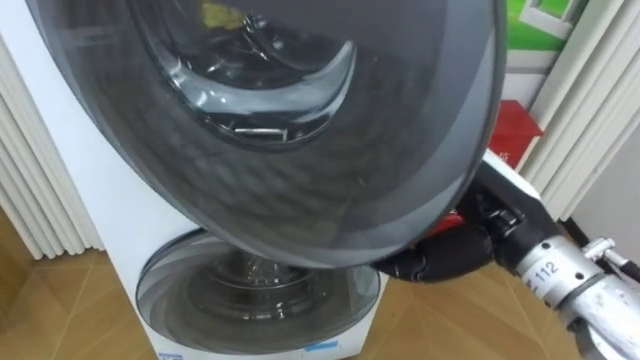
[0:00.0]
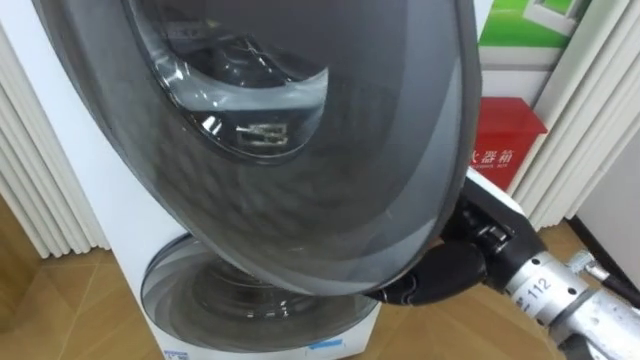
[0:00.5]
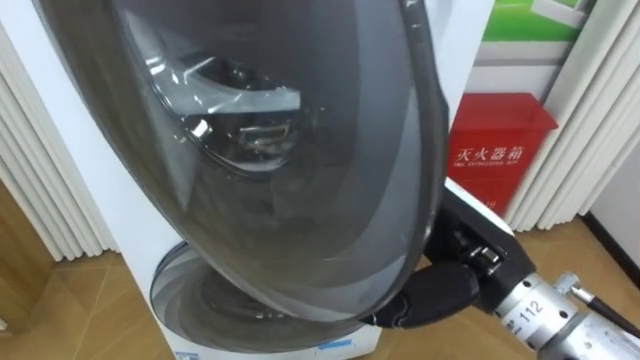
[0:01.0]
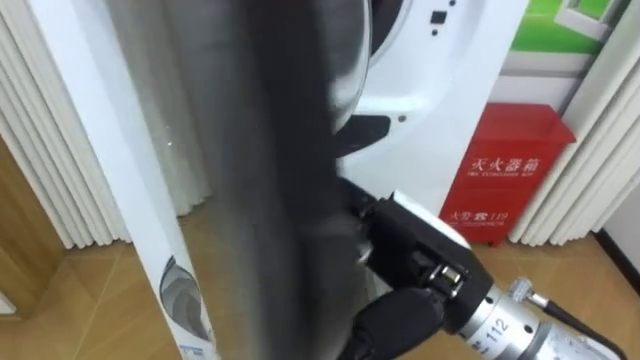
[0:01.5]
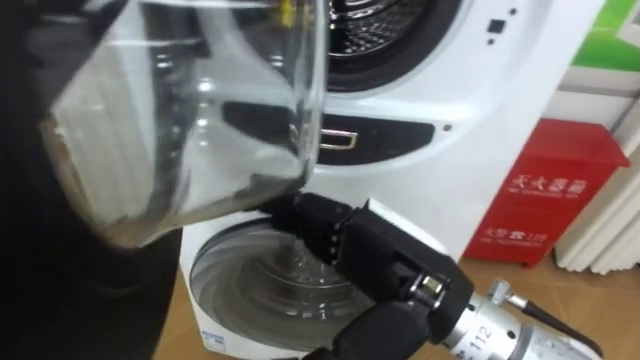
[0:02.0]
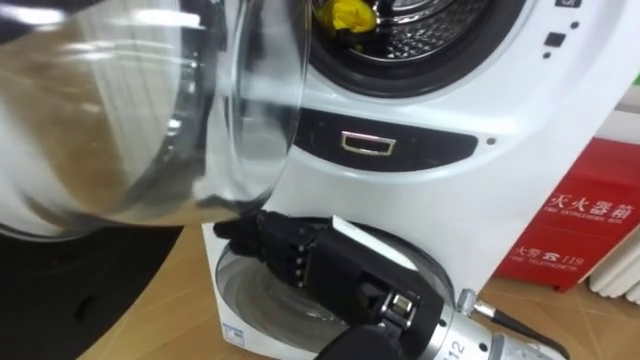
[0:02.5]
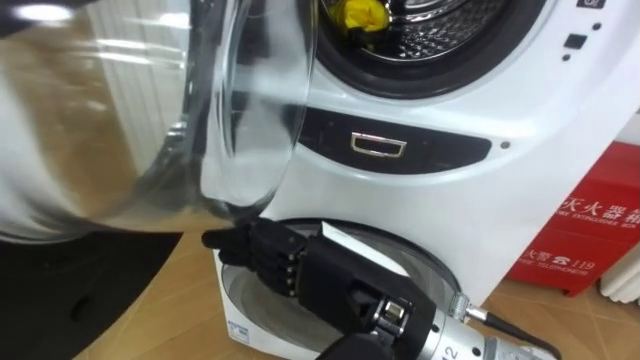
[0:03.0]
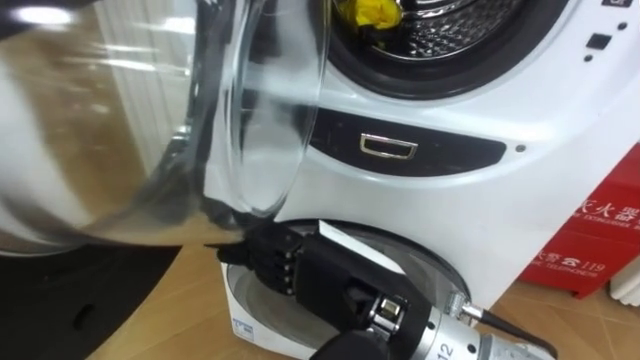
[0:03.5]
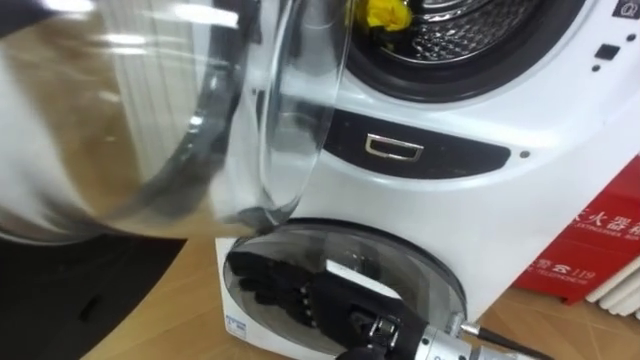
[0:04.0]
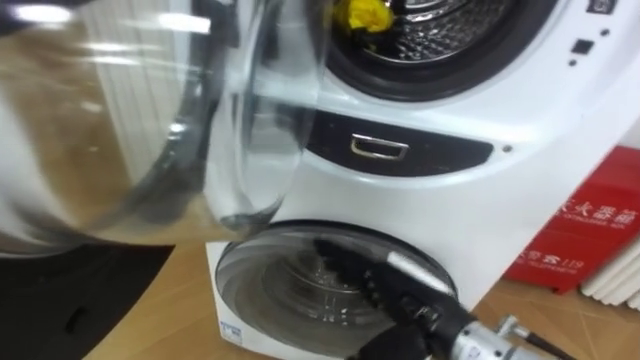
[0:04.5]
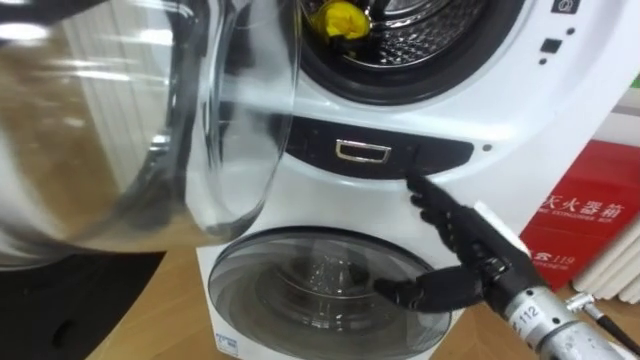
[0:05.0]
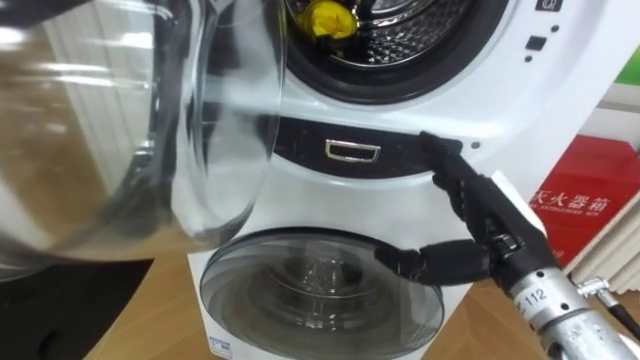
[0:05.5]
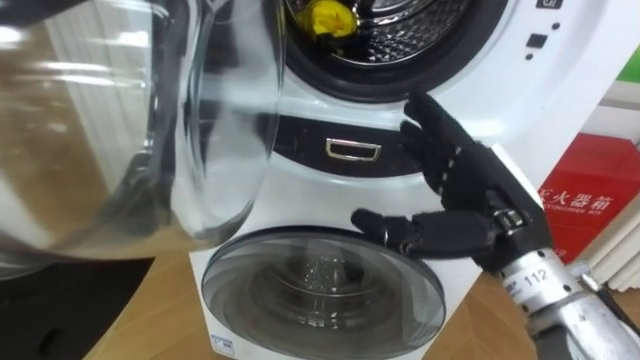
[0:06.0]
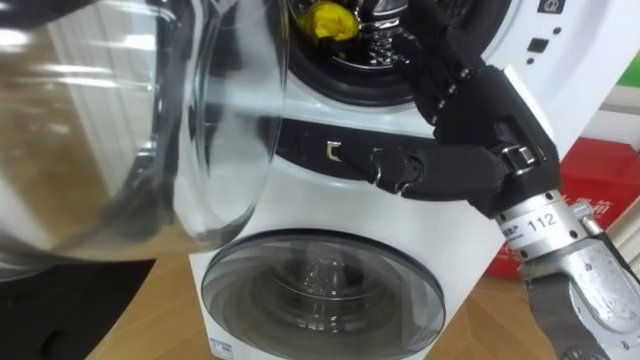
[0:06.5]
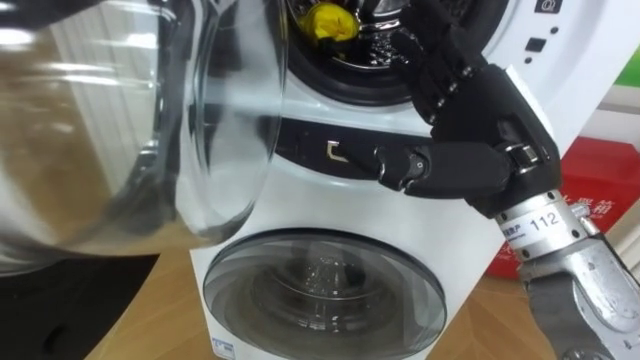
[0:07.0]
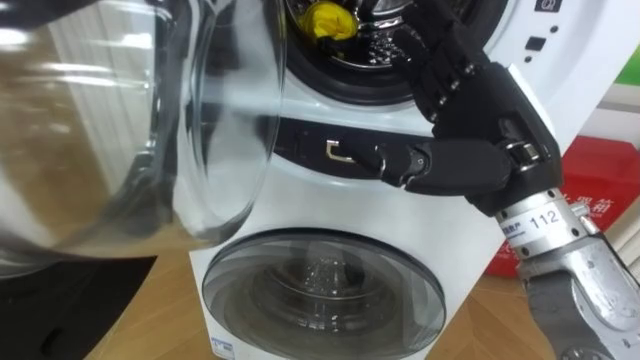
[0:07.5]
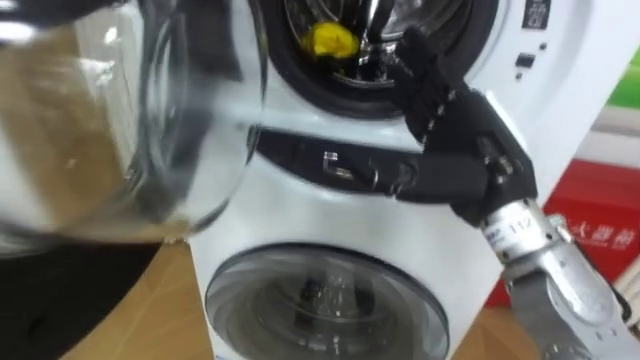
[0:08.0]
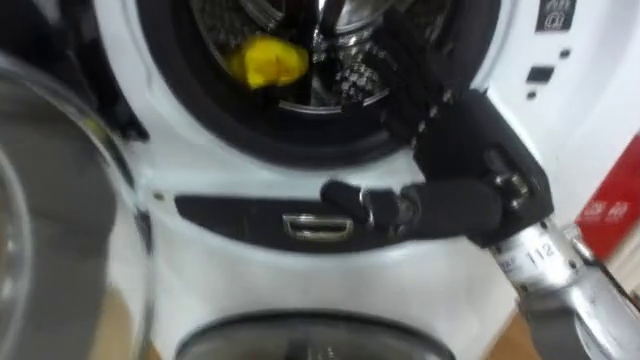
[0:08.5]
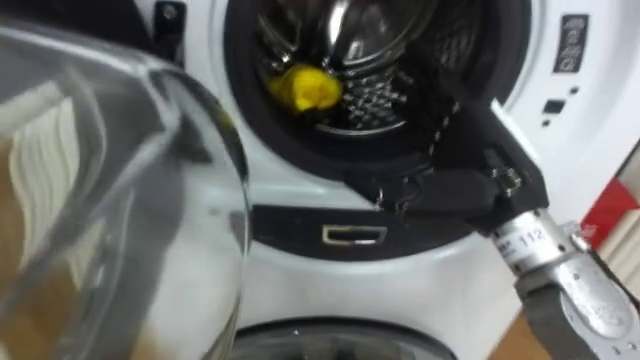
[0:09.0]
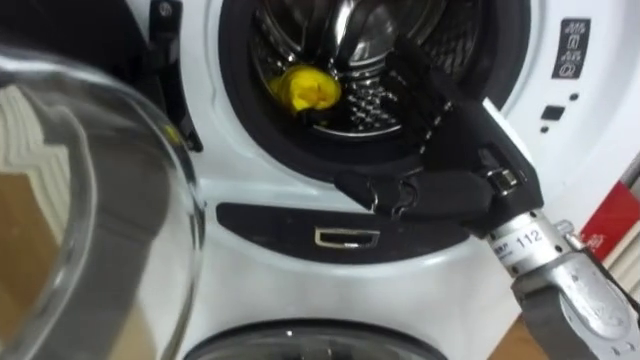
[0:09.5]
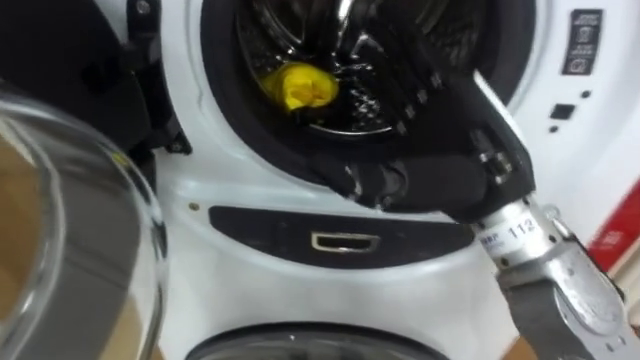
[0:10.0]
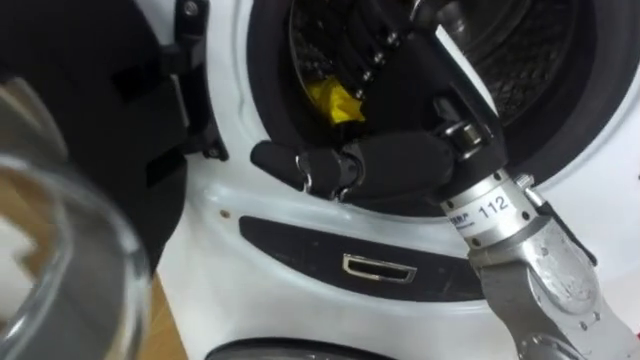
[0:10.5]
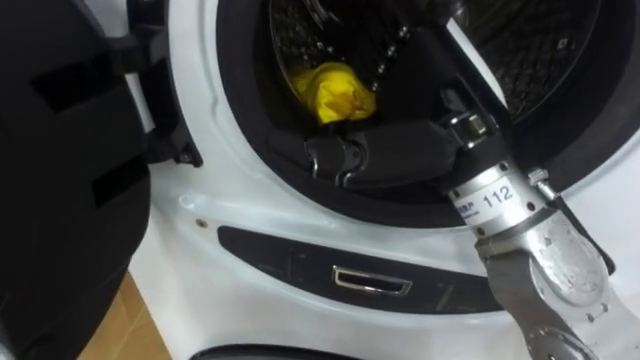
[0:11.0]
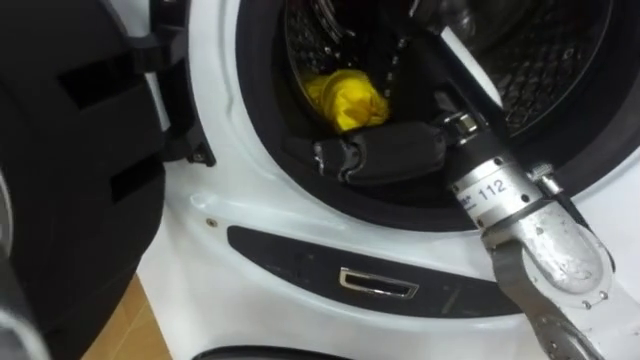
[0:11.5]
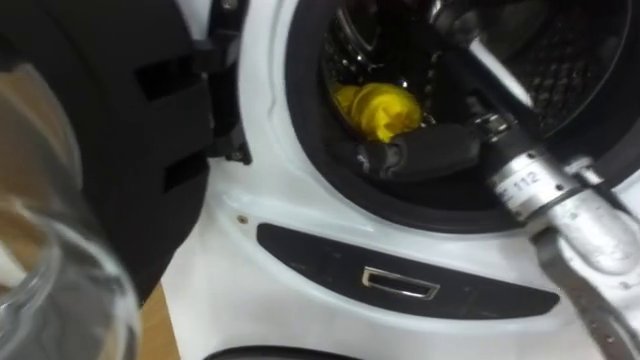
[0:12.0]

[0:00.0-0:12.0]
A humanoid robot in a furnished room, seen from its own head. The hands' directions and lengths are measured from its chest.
Task of the whole recording: Open the washing machine door, take out the yellow clothes, place them in the box on the right, and close the washing machine door.
0:00.0 to 0:02.0: The right hand shifts approximately 10 cm to the left and backward.
0:02.0 to 0:04.0: The right hand is displaced downward by about 5 cm.
0:04.0 to 0:06.0: The right hand goes approximately 15 cm to the right, forward and upward.
0:08.0 to 0:10.0: The right hand changes place by about 5 cm.

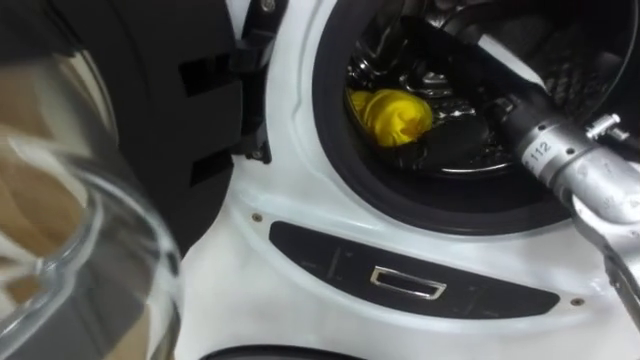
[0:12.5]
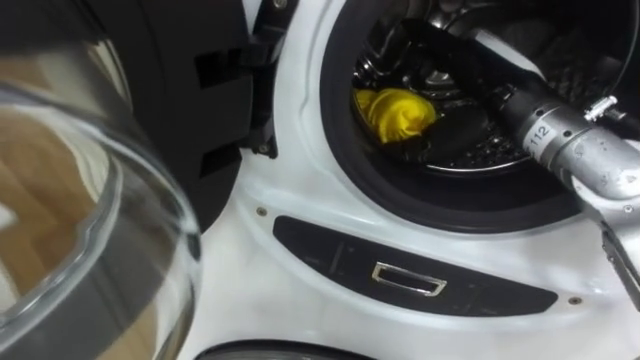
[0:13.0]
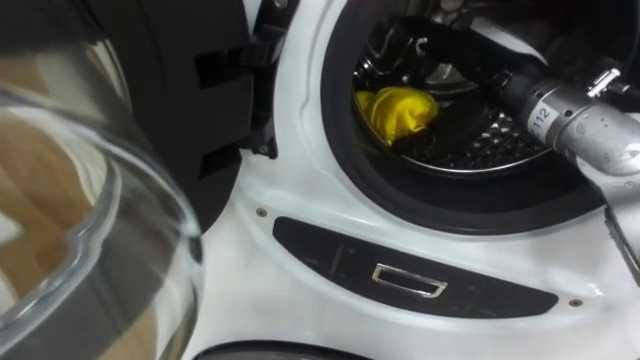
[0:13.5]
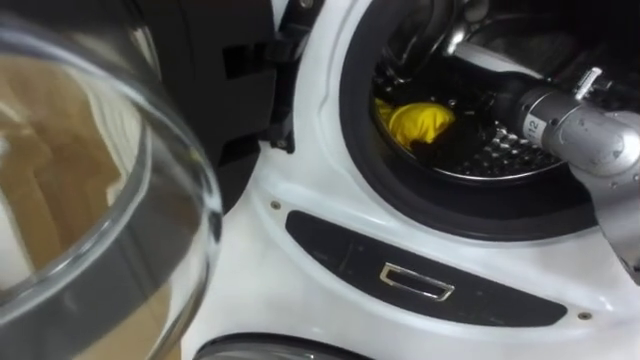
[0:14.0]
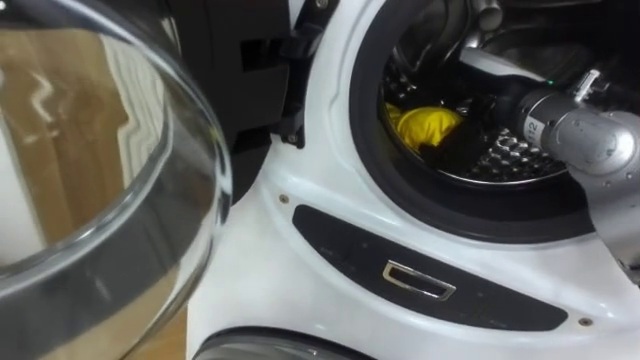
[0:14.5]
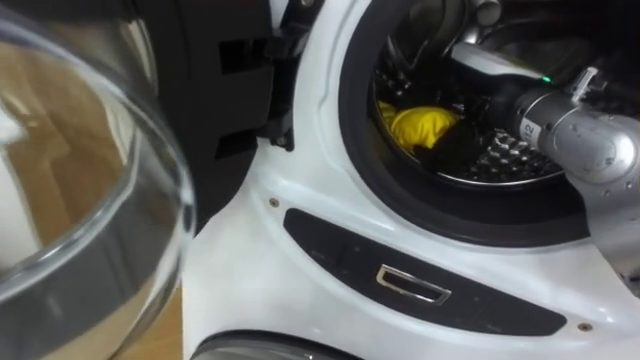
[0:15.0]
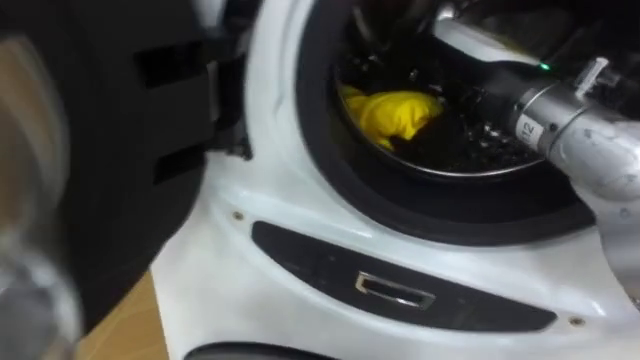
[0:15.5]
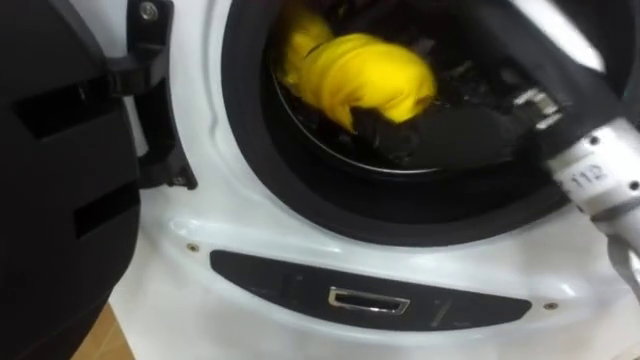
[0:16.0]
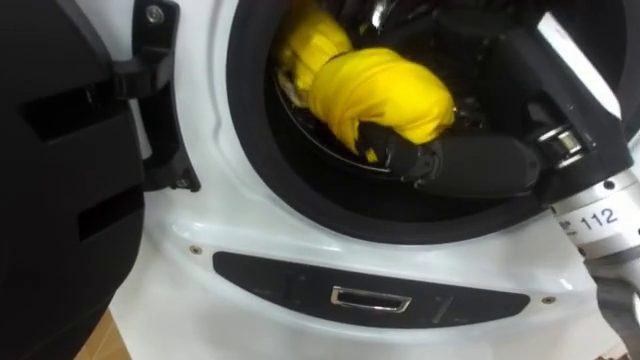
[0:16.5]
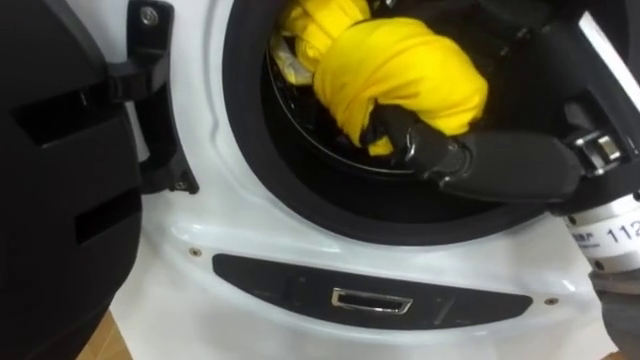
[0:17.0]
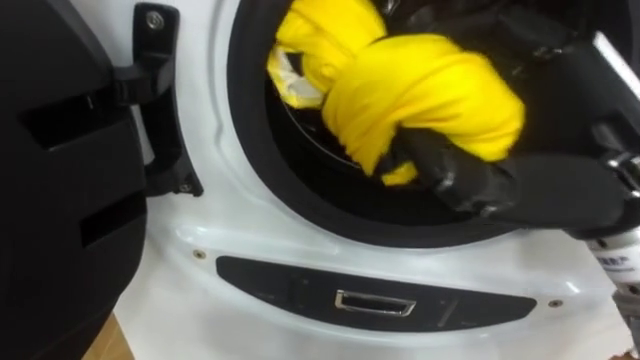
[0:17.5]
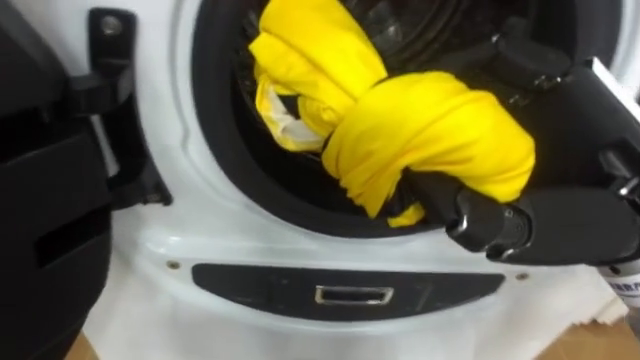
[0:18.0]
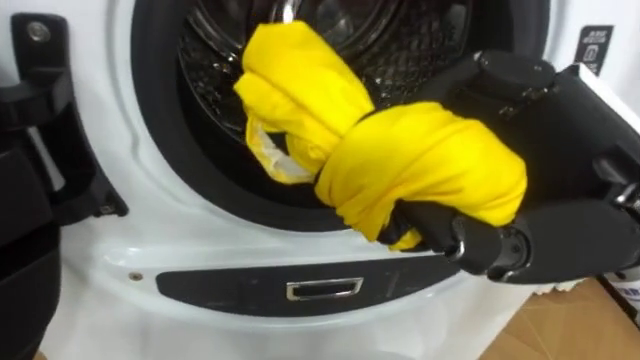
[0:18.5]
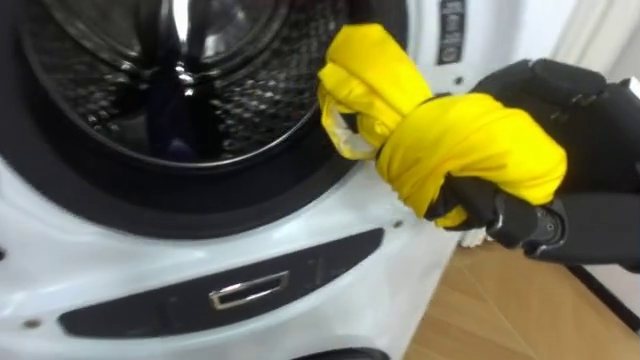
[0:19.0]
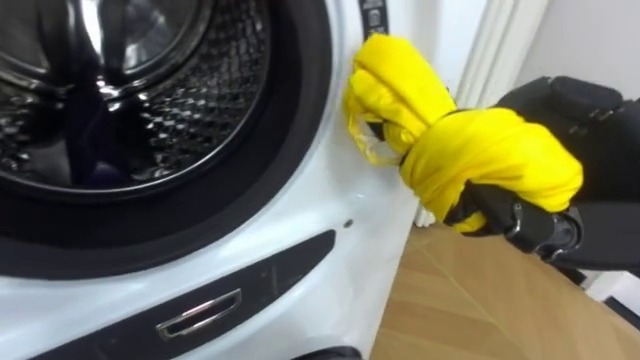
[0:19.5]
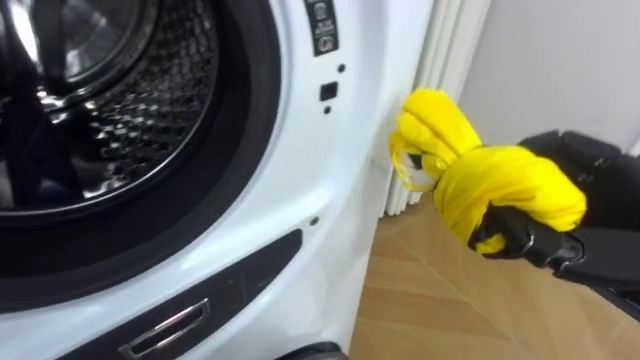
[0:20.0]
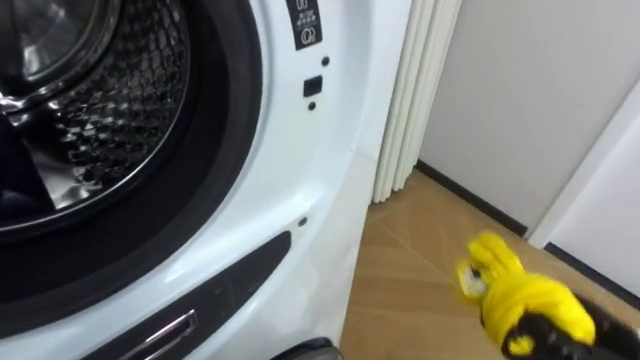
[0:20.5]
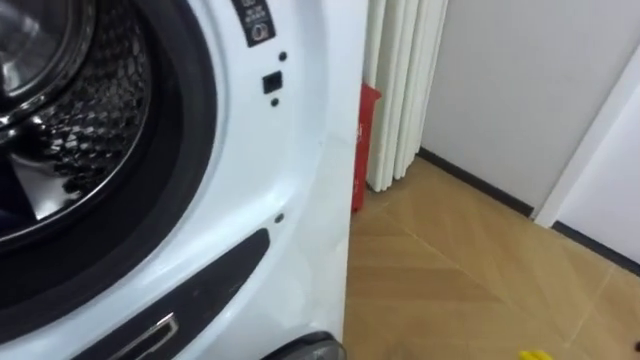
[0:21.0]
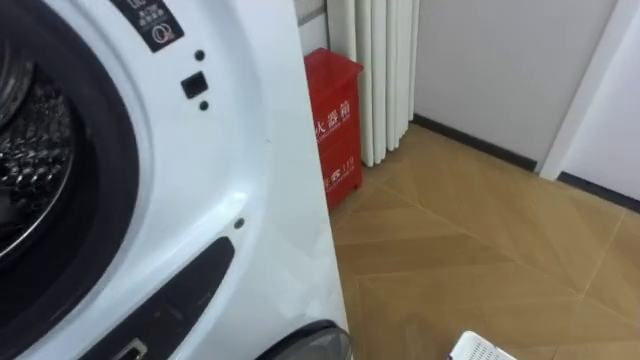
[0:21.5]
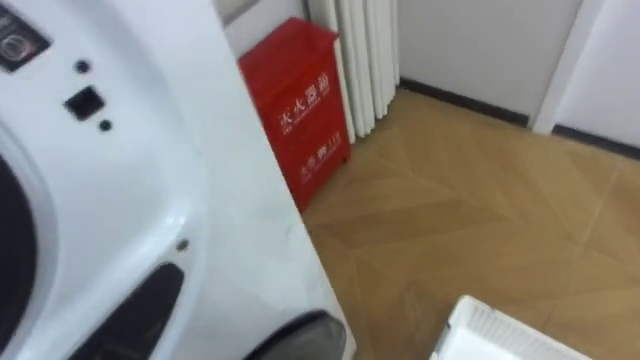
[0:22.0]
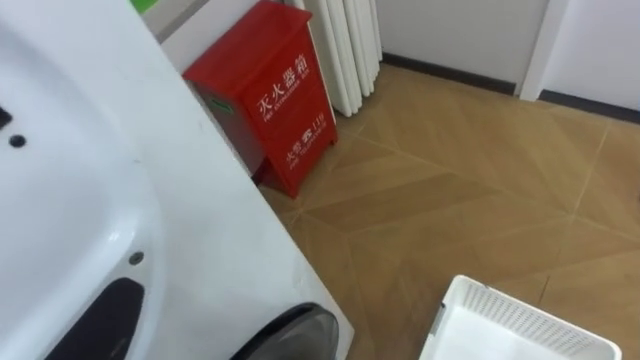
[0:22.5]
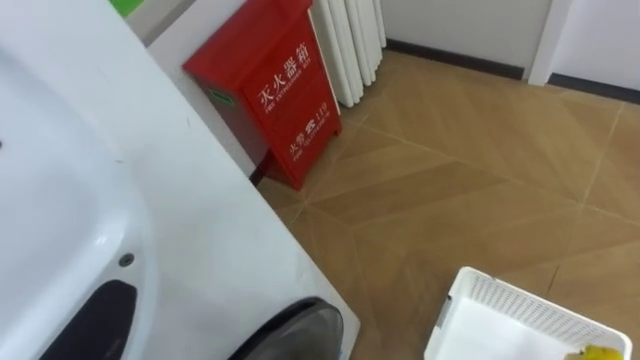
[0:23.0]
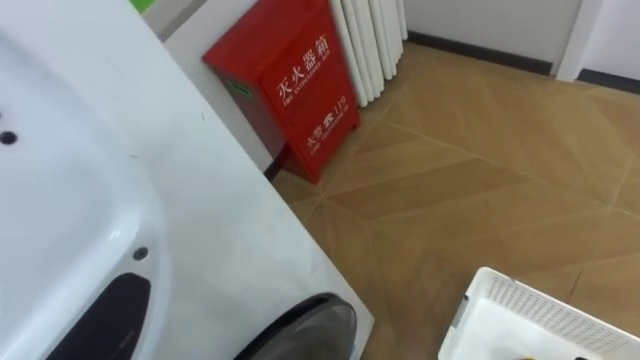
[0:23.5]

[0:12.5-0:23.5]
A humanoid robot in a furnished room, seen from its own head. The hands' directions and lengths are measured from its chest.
Task of the whole recording: Open the washing machine door, take out the yellow clothes, place them in the box on the right, and close the washing machine door.
0:12.5 to 0:14.5: The right hand closes its fingers.
0:14.5 to 0:16.0: The right hand is displaced backward and upward by some 15 cm.
0:16.0 to 0:18.0: The right hand ends up approximately 5 cm from where it was.
0:18.0 to 0:20.0: The right hand shifts some 10 cm to the right and downward.
